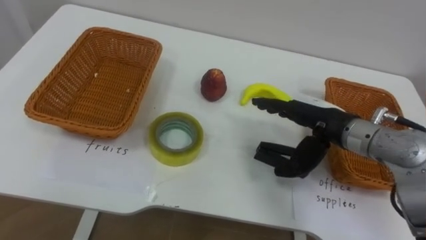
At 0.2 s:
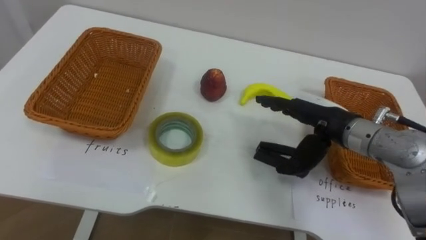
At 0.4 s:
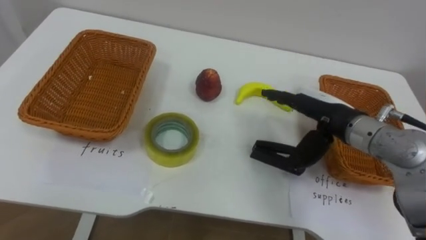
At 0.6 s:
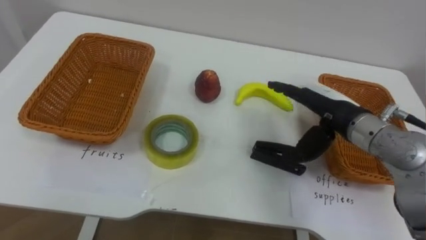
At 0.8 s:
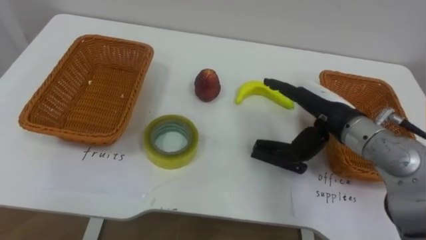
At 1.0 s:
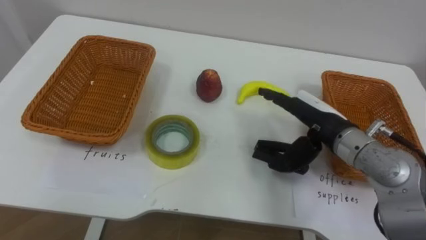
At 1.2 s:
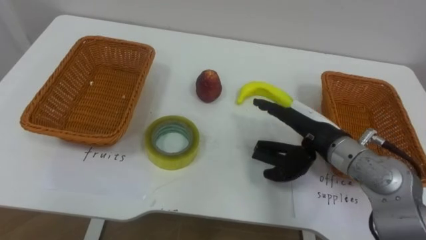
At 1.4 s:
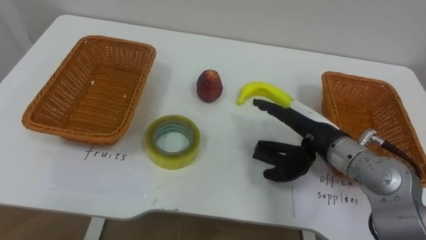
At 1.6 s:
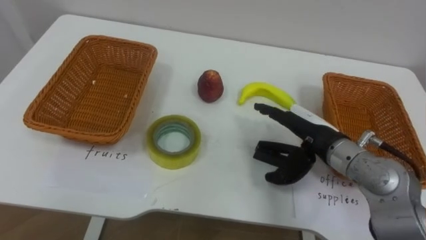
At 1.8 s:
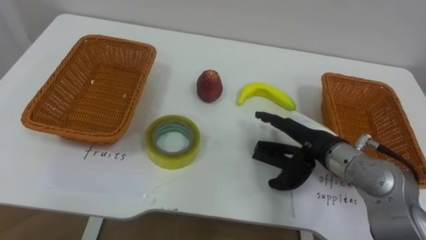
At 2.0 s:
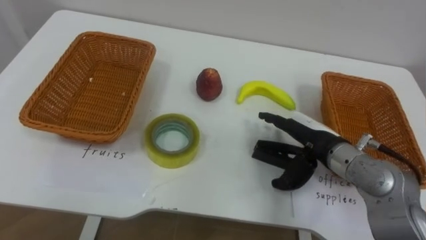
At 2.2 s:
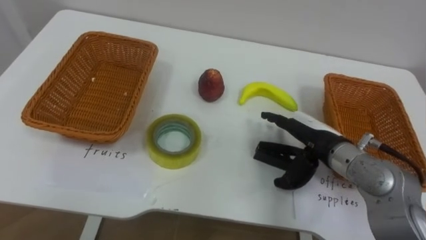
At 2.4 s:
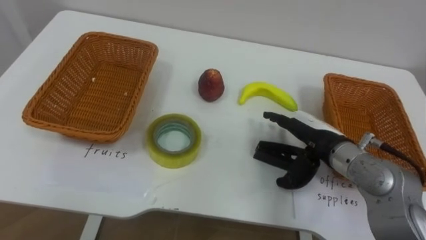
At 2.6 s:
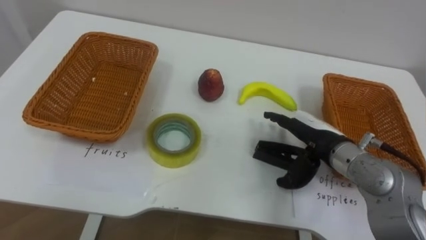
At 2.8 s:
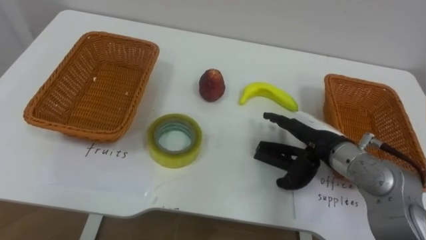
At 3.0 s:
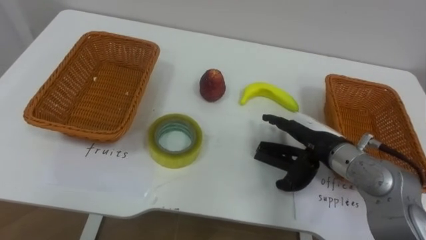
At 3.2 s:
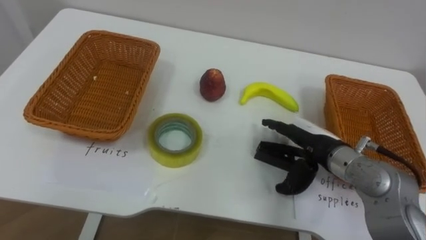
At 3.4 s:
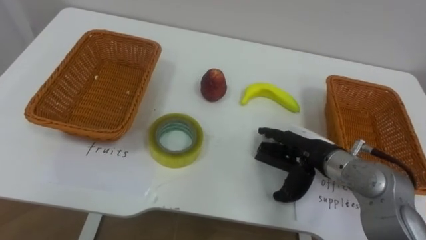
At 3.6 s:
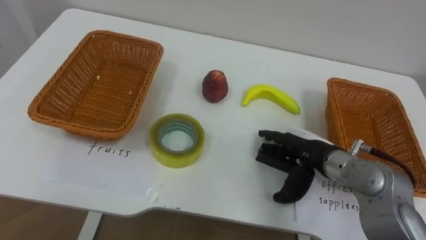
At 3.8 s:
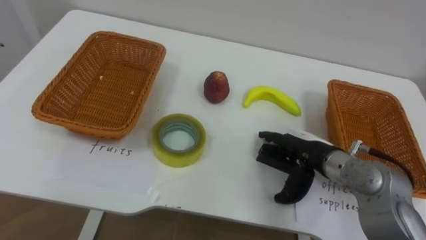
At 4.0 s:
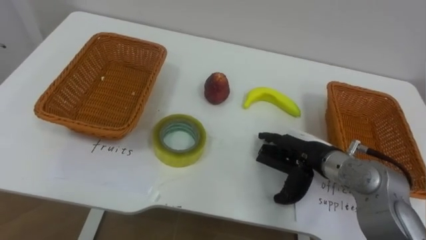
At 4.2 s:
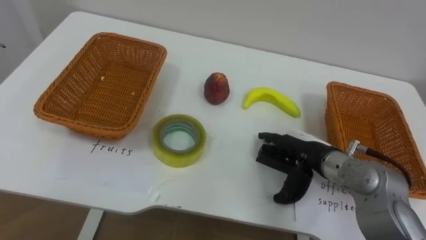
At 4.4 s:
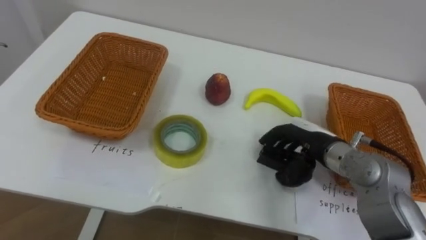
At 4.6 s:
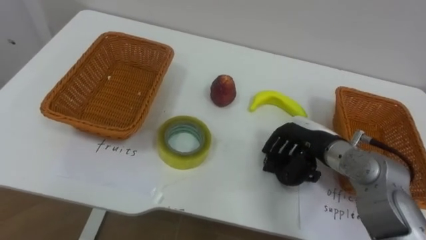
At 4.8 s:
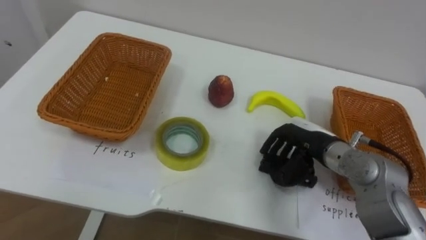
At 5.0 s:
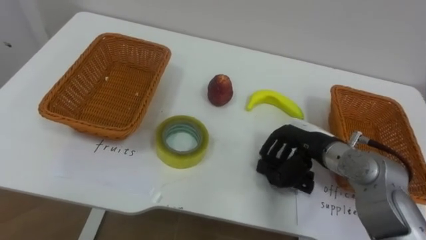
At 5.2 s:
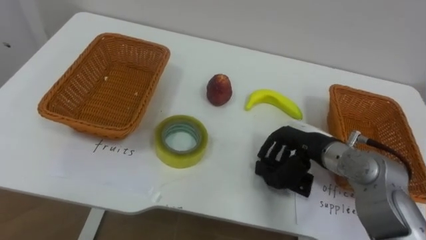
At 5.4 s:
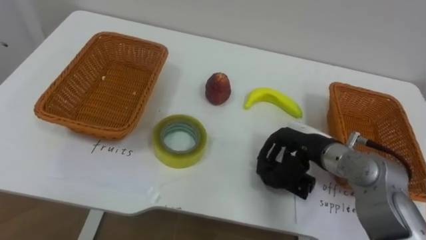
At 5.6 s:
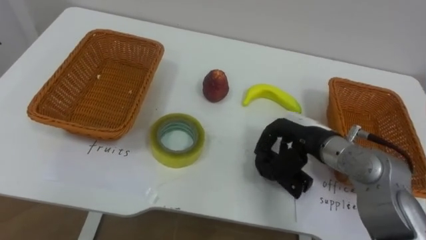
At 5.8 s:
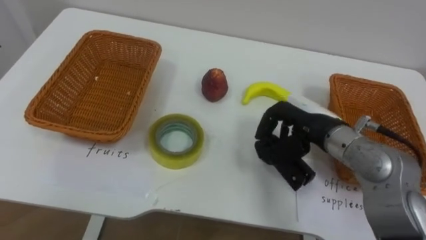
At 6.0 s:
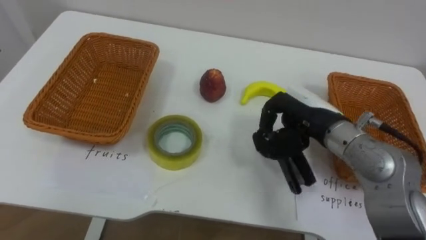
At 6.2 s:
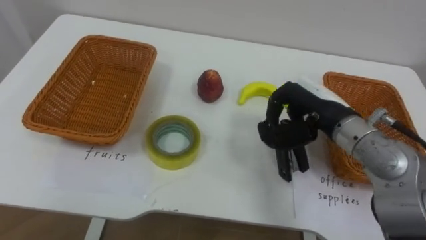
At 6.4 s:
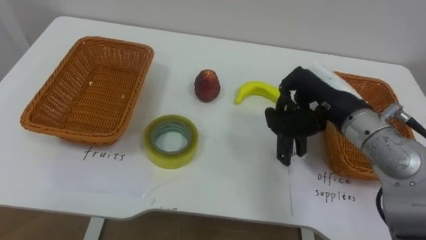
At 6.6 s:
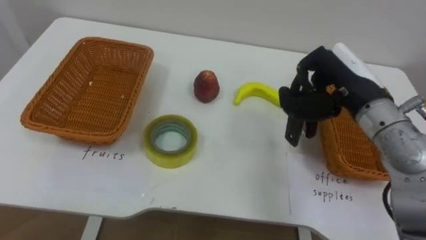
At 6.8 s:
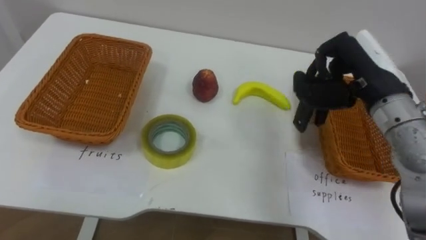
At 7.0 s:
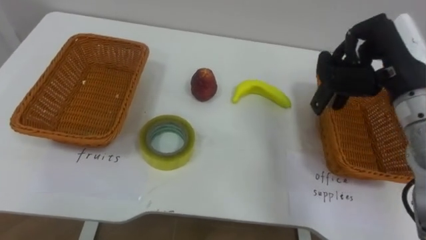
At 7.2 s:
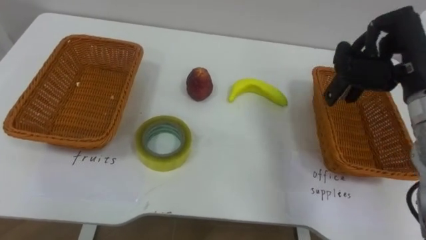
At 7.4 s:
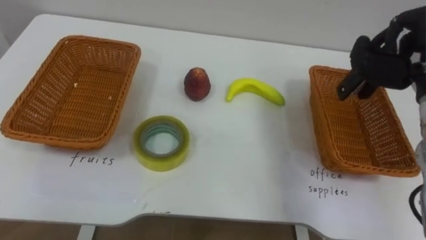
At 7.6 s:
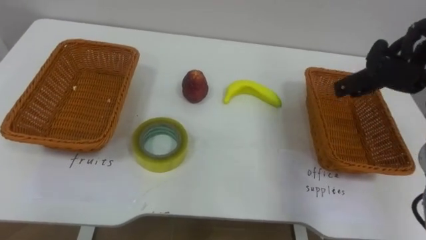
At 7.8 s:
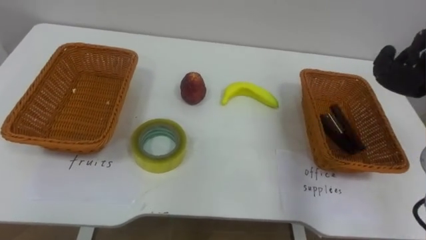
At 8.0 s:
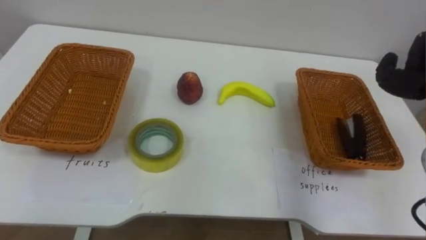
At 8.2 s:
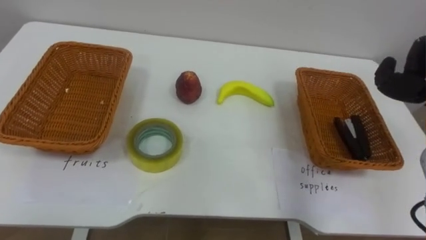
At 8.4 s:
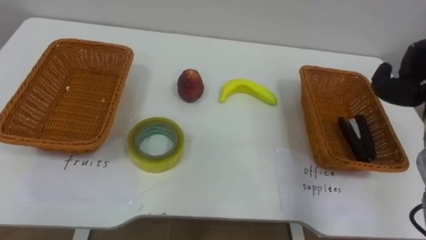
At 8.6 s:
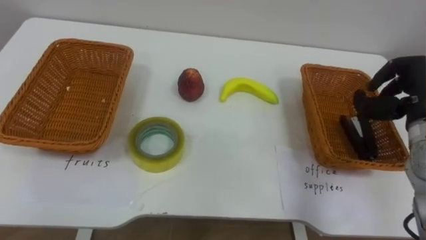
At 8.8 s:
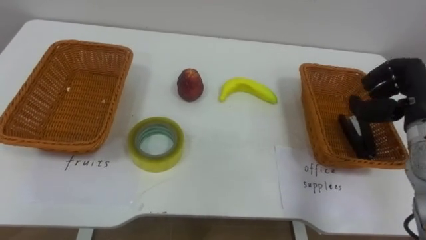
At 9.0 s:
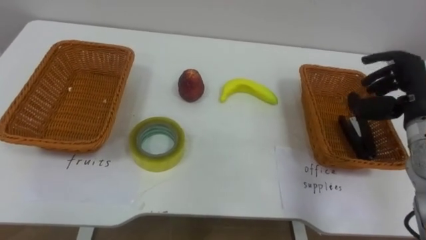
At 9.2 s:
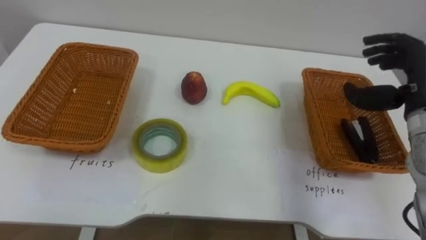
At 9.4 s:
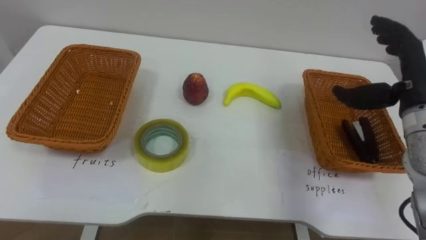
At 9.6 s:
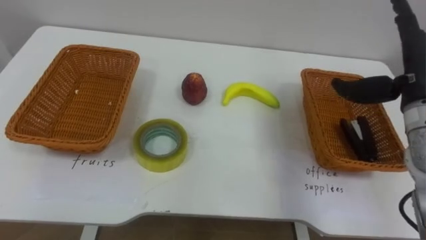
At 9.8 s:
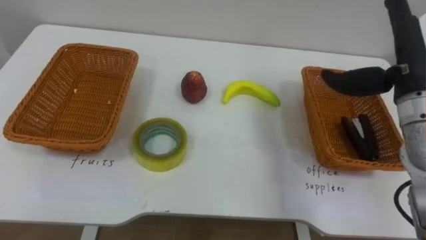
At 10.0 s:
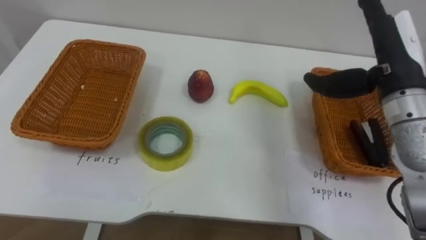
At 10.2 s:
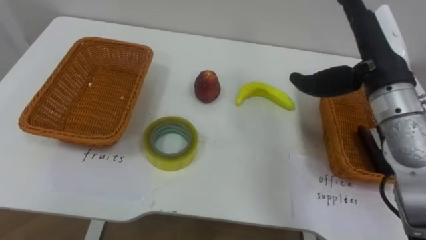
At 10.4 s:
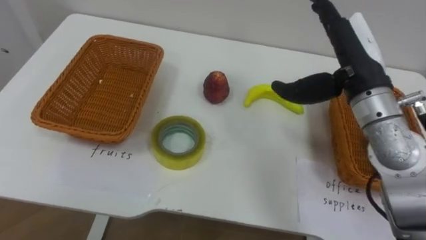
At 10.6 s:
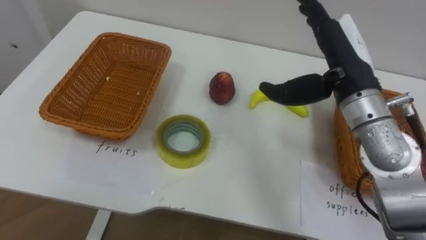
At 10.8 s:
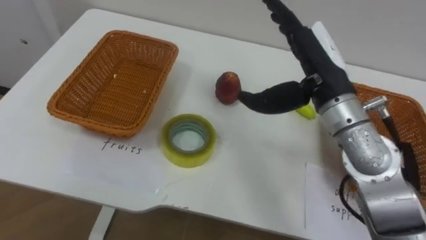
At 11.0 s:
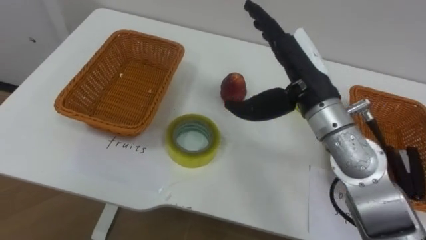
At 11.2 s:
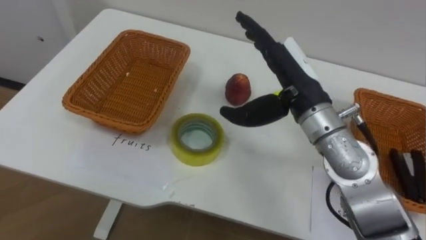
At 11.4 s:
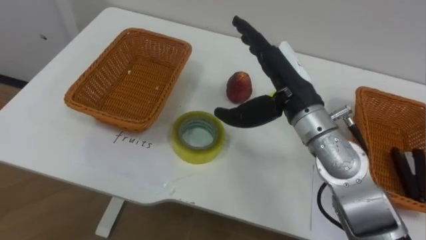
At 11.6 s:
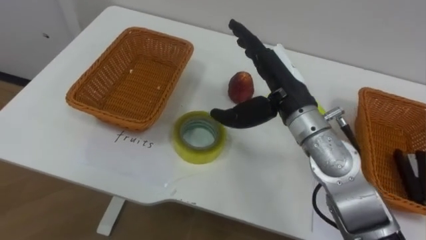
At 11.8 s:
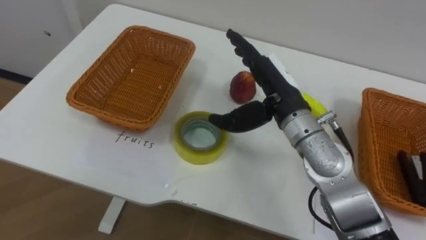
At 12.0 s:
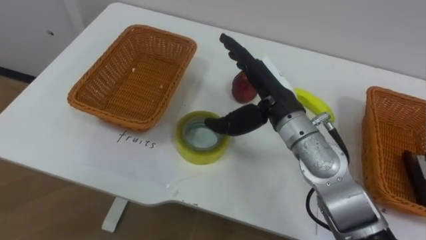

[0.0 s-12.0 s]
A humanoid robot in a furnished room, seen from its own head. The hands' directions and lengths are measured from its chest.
Task of the whole recording: Separate the items on the table and place them into the two baskets.
4.4 to 6.0 s: The right hand travels upward by roughly 5 cm, and closes up.
9.0 to 10.4 s: The right hand is displaced to the left and upward by roughly 15 cm, and opens its fingers.
10.4 to 12.0 s: The right hand heads to the left and downward, covering approximately 15 cm.

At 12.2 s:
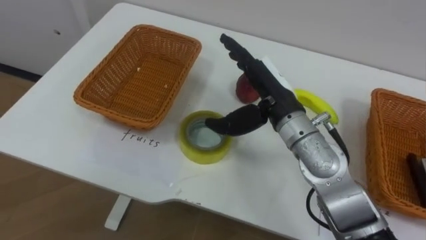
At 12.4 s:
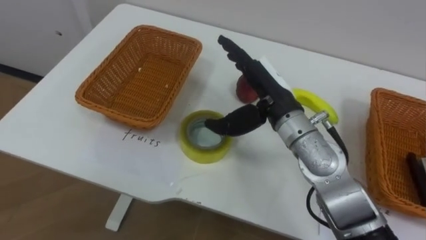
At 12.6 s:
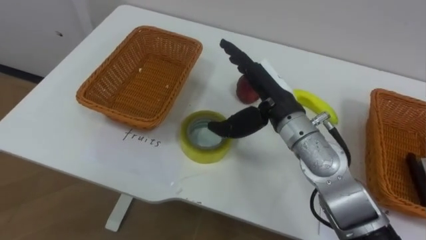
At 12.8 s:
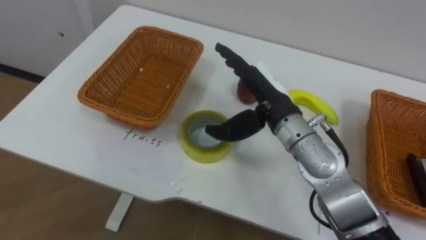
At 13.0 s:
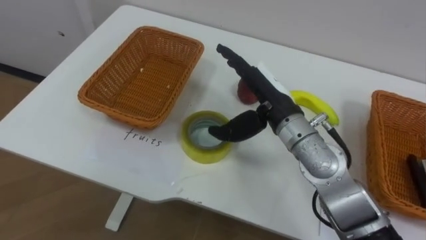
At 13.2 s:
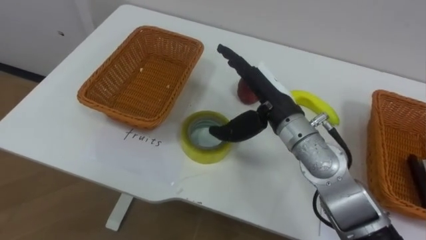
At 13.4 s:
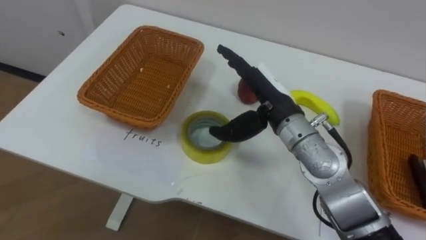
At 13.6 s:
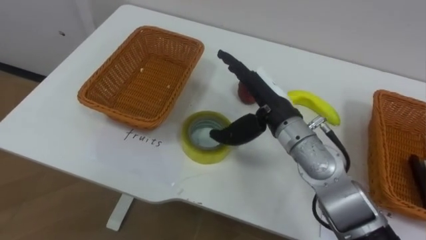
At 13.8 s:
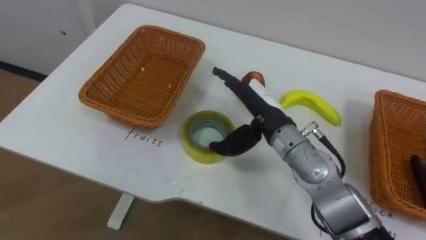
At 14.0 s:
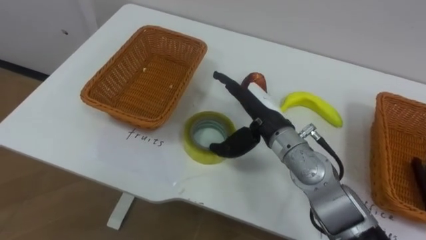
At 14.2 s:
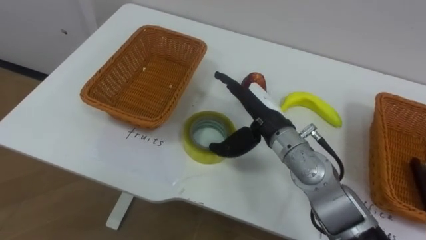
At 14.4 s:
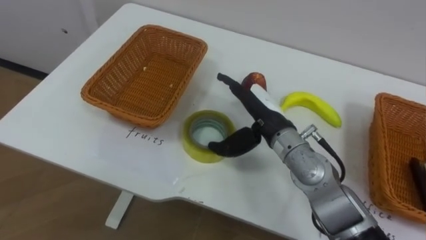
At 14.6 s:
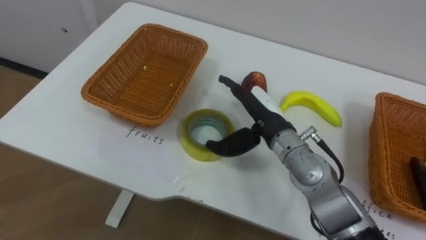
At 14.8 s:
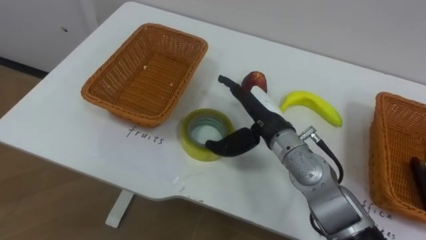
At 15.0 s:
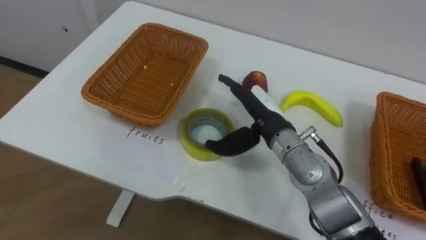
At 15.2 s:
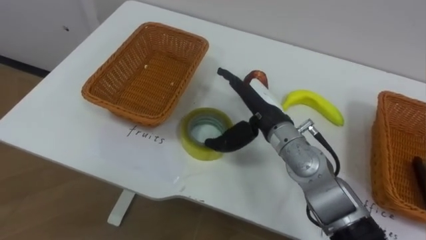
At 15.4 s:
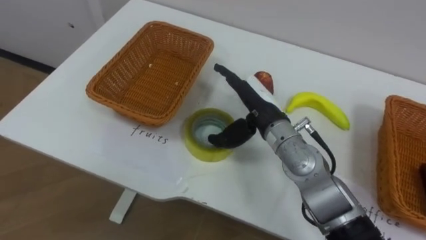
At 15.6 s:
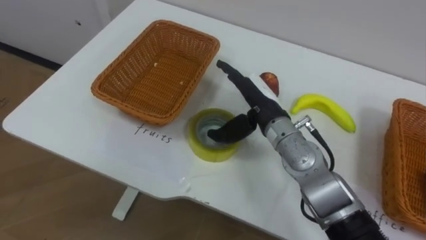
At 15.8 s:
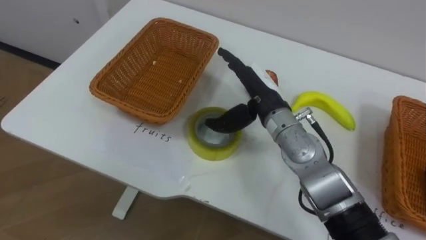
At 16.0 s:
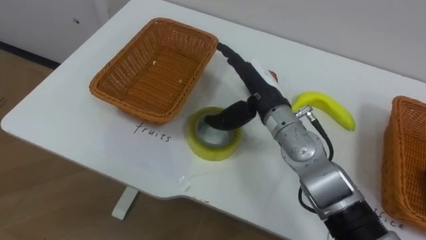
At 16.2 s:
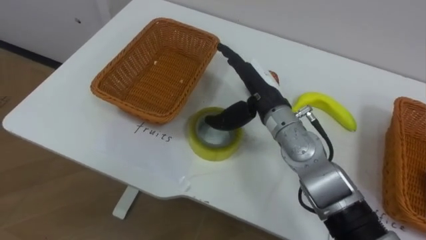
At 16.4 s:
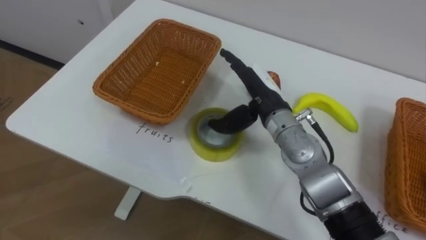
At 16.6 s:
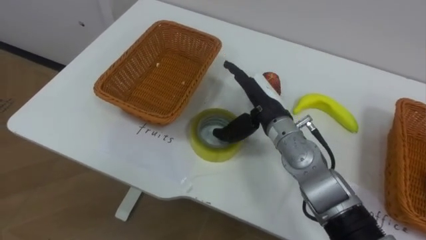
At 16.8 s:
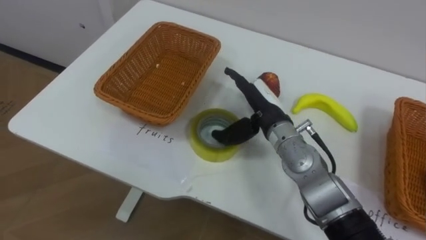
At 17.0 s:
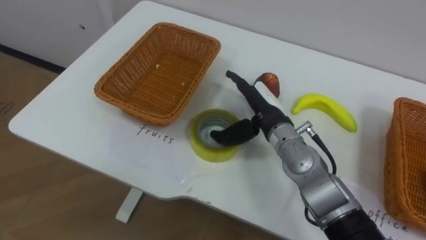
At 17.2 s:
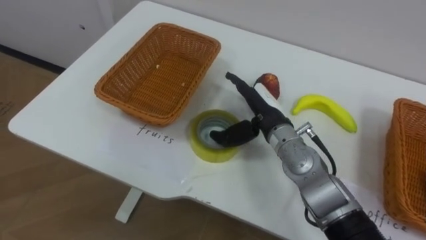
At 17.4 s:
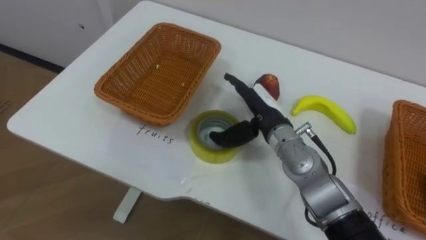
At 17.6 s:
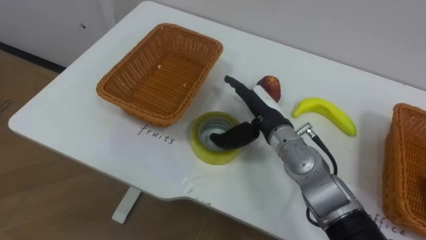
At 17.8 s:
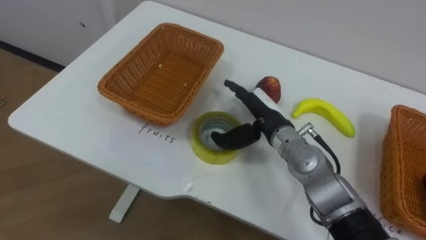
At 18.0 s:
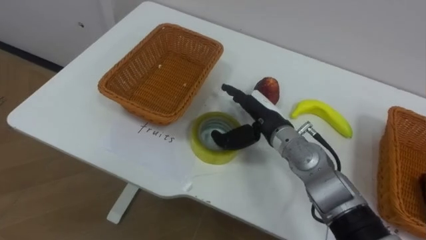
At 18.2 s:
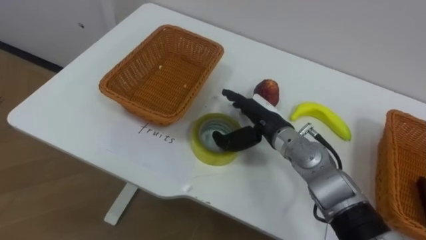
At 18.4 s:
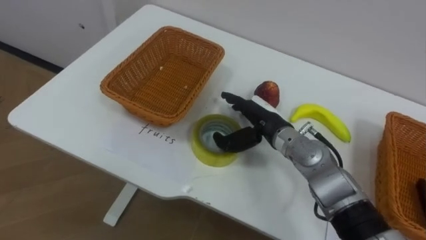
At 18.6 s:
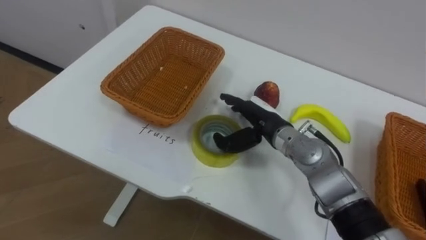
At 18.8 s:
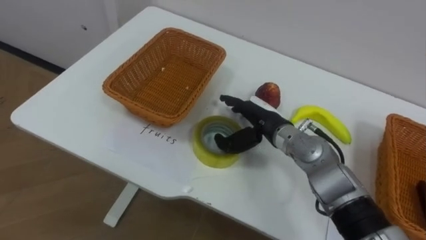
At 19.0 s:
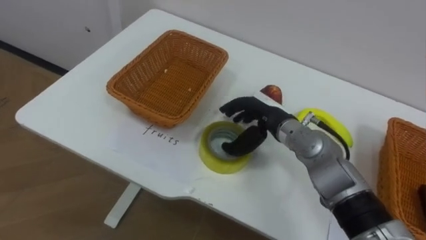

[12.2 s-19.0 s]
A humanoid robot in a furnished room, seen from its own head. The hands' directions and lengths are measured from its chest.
Task of the whole recording: Separate the items on the table and place them into the two baskets.
16.2 to 17.6 s: The right hand shifts about 5 cm downward.
